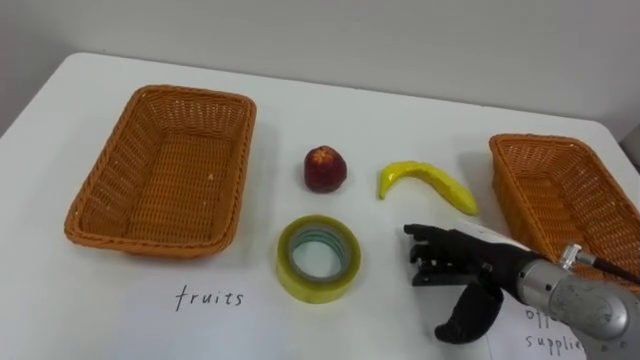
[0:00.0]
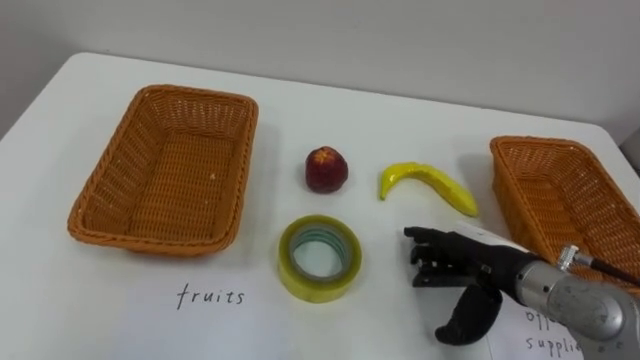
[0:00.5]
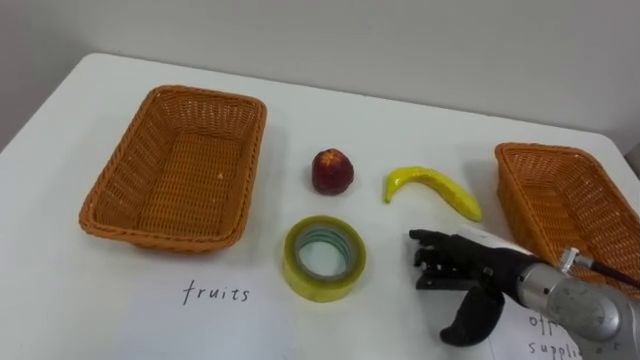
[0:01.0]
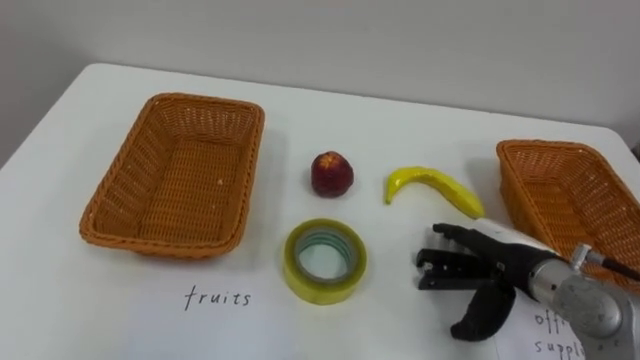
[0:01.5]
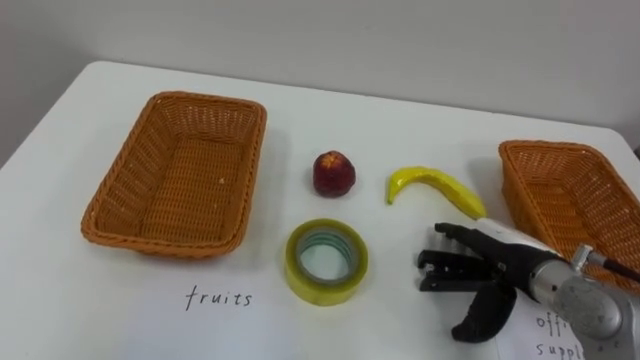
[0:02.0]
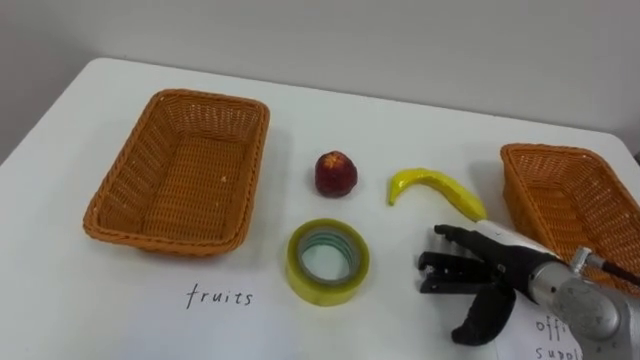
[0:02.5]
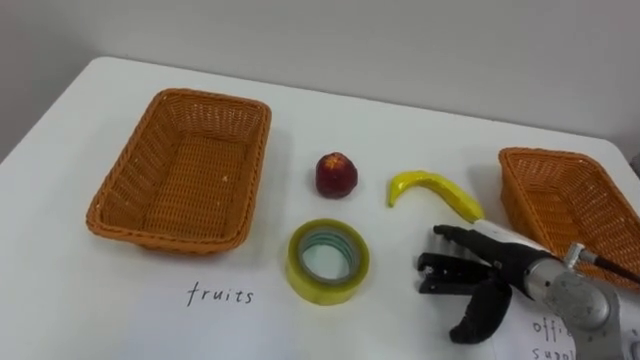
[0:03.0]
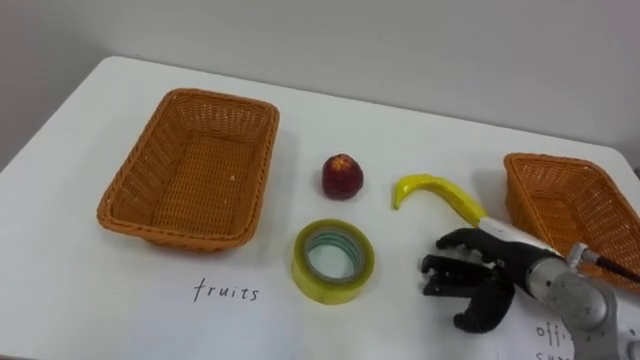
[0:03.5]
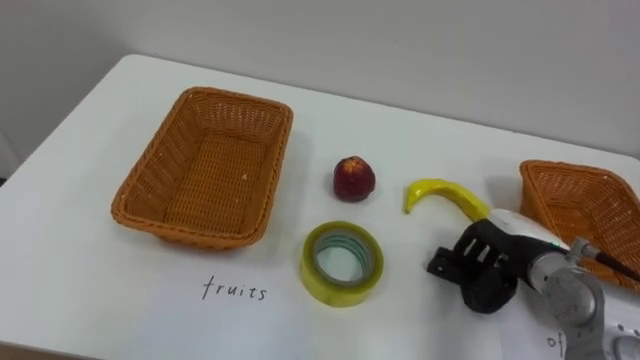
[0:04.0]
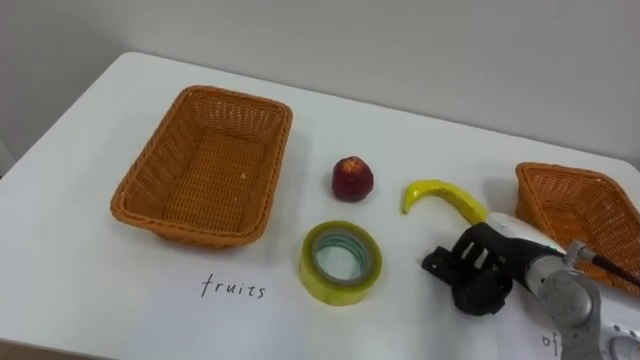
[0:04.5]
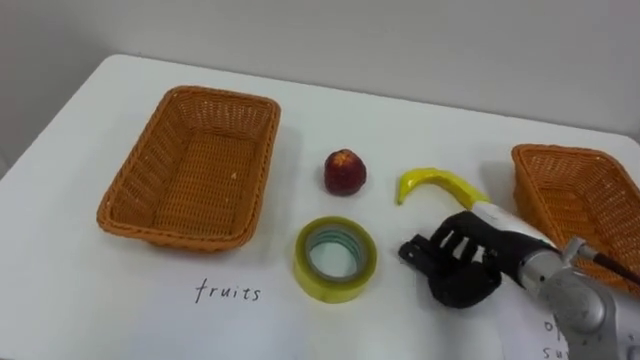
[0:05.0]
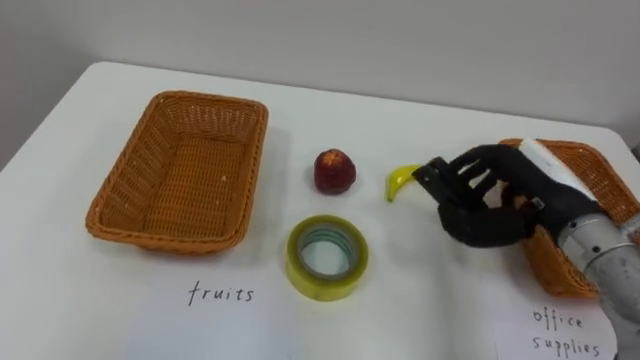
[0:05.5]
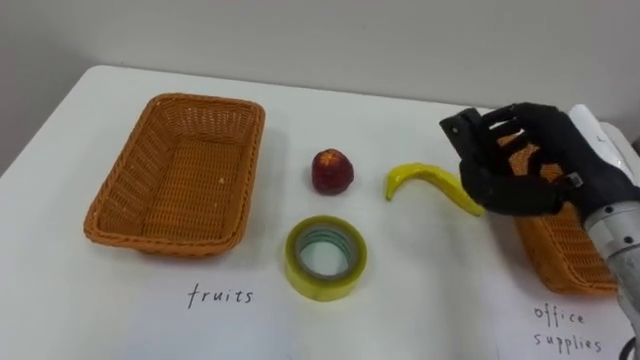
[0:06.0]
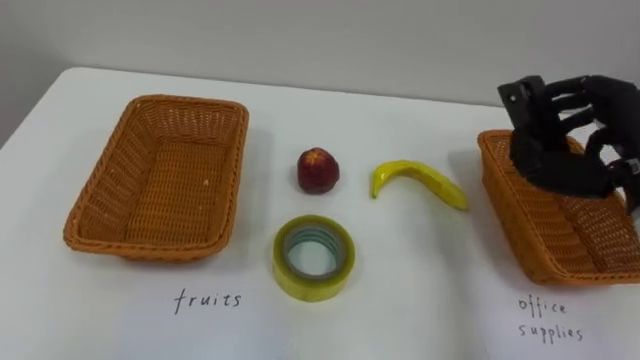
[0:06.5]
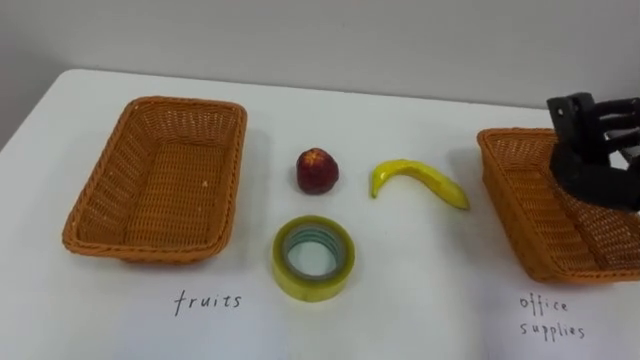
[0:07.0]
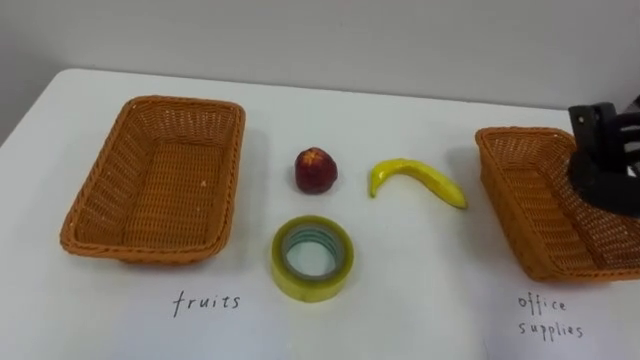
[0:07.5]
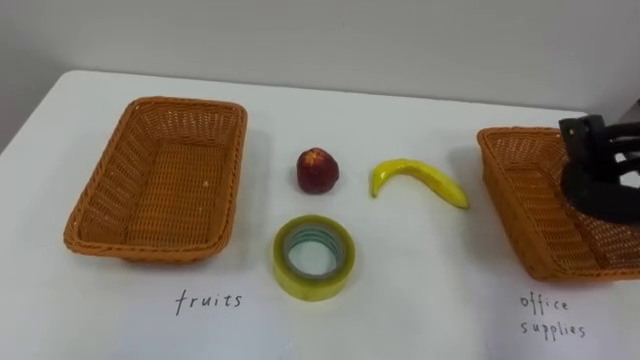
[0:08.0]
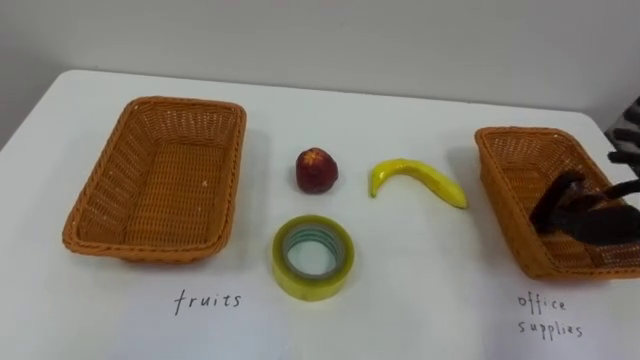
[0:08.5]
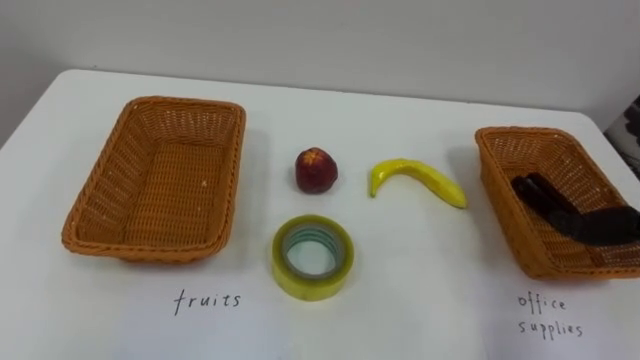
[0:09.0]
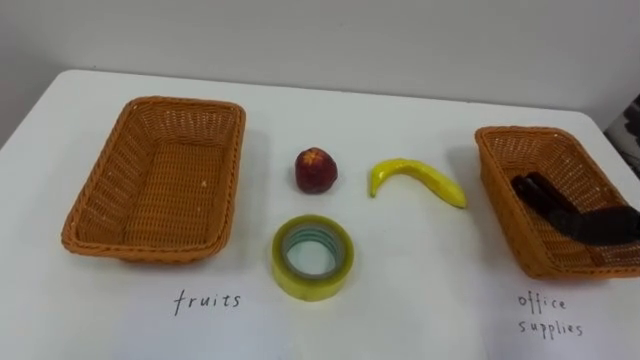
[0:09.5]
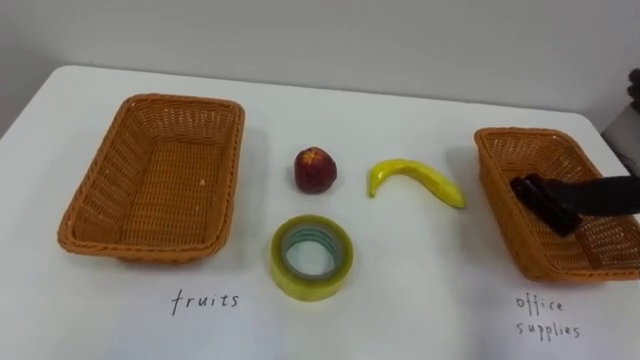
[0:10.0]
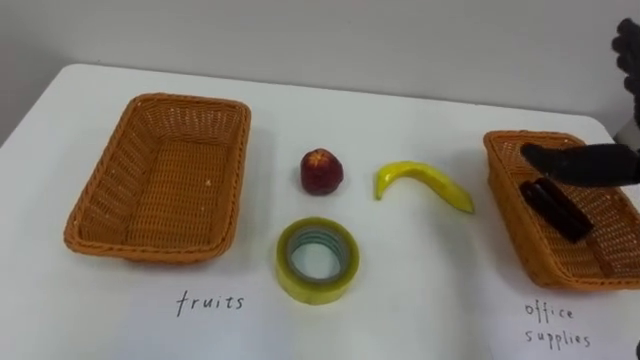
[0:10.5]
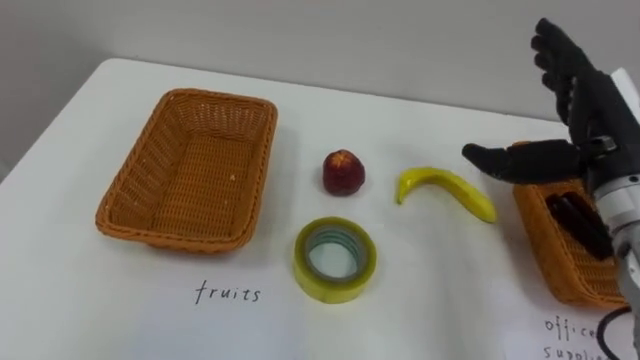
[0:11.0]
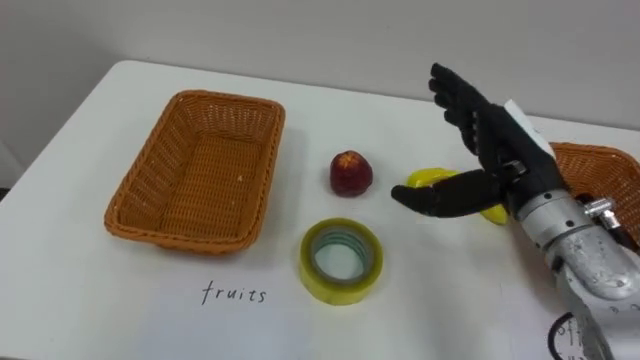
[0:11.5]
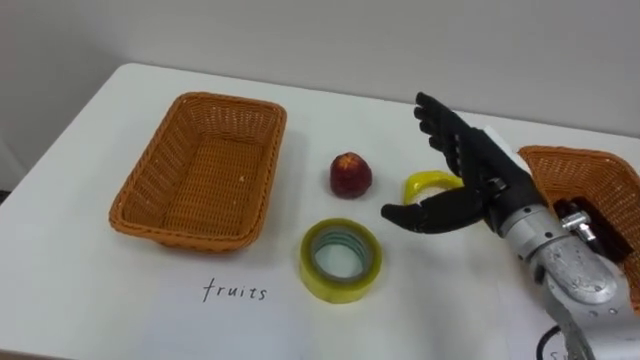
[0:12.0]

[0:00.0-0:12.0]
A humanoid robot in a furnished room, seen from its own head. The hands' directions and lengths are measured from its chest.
Task of the whole recording: Separate the items on the table and place them into the two baskets.
0:02.0 to 0:04.0: The right hand closes up.
0:04.0 to 0:06.0: The right hand goes about 15 cm upward.

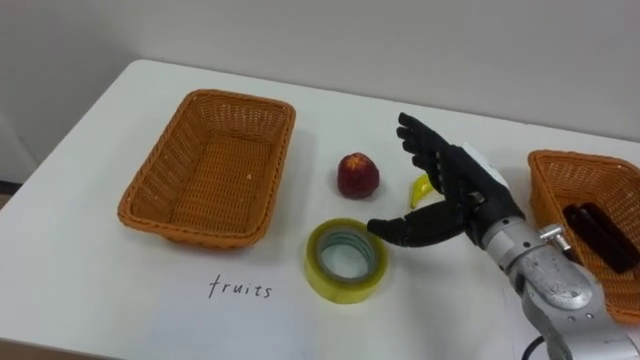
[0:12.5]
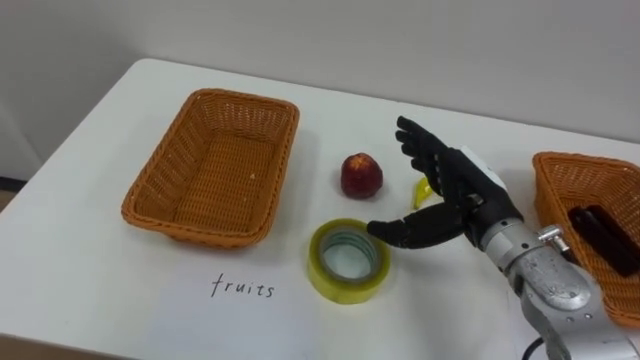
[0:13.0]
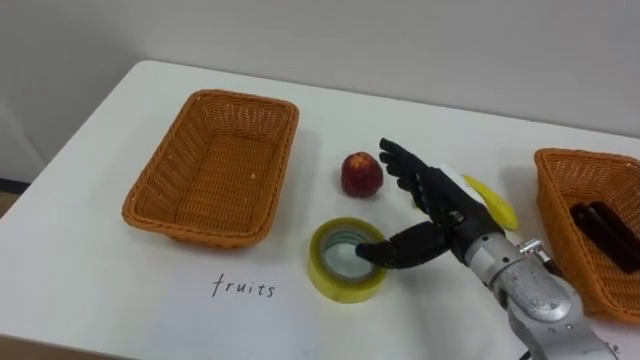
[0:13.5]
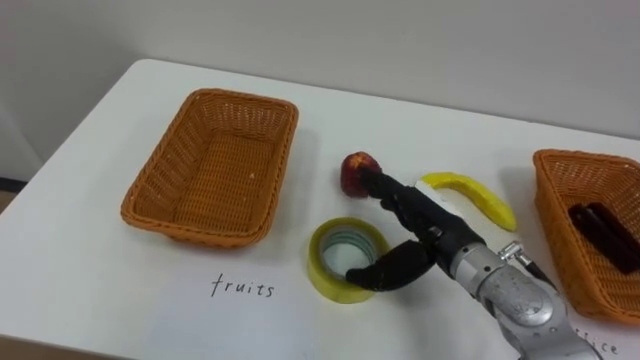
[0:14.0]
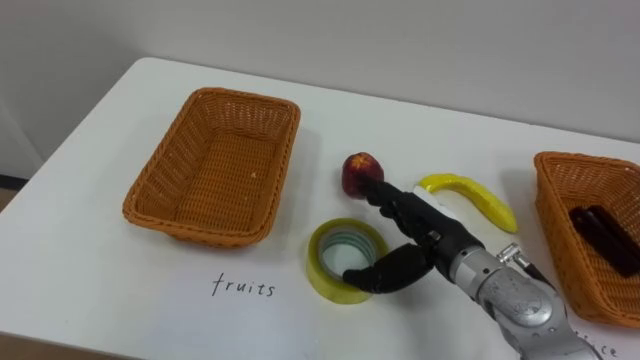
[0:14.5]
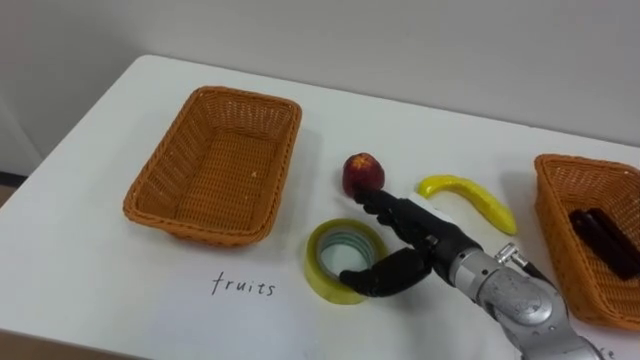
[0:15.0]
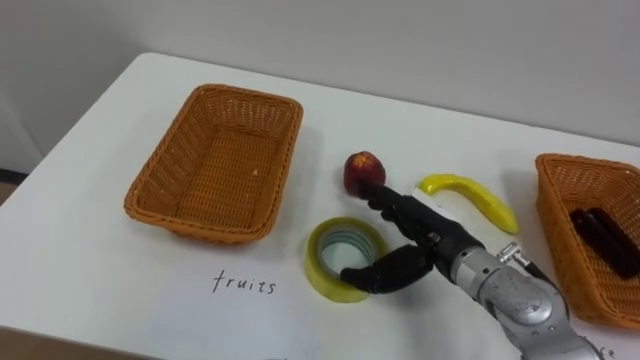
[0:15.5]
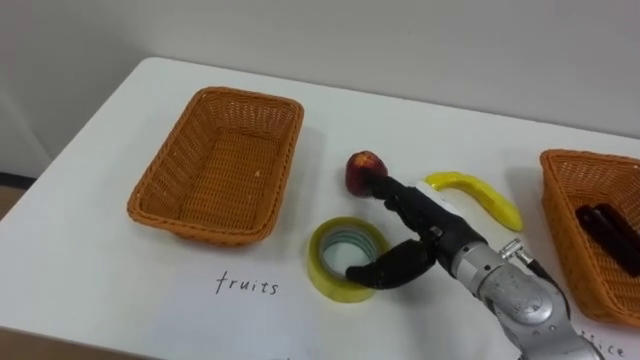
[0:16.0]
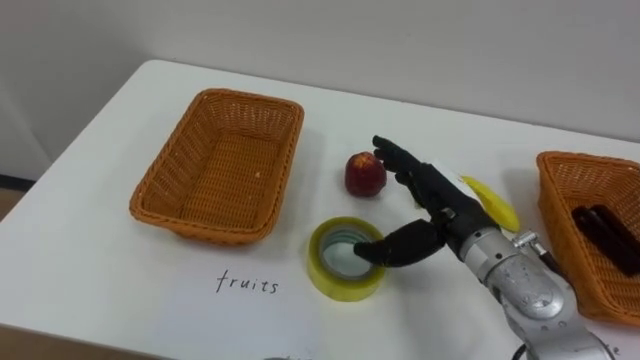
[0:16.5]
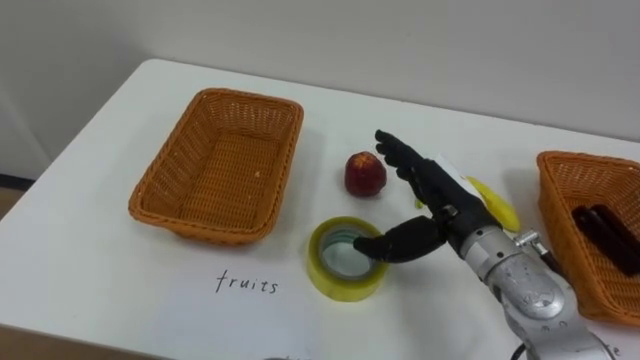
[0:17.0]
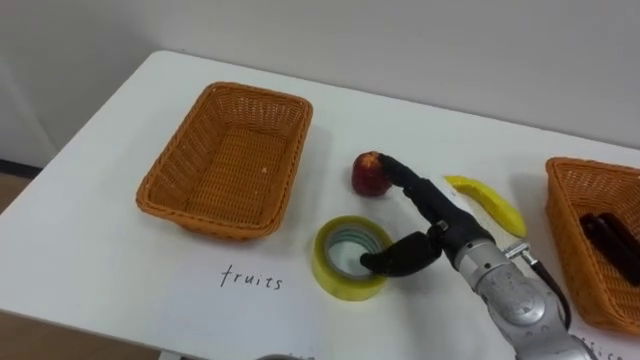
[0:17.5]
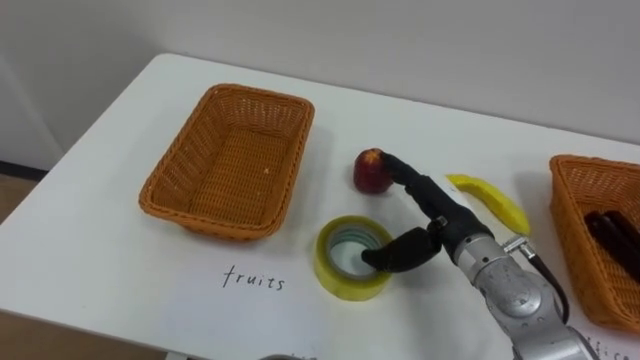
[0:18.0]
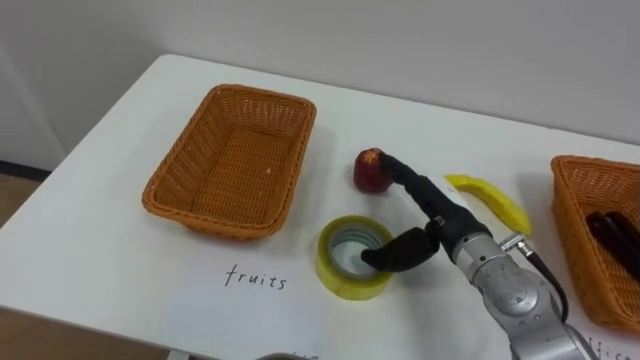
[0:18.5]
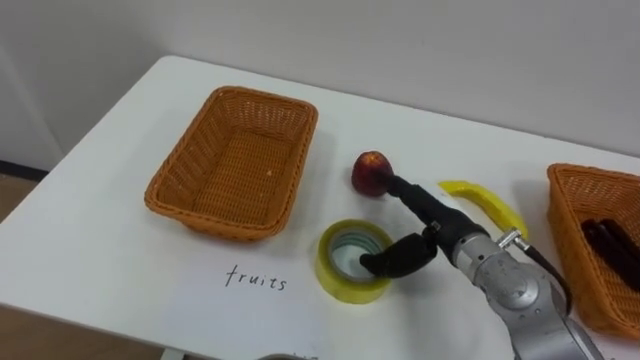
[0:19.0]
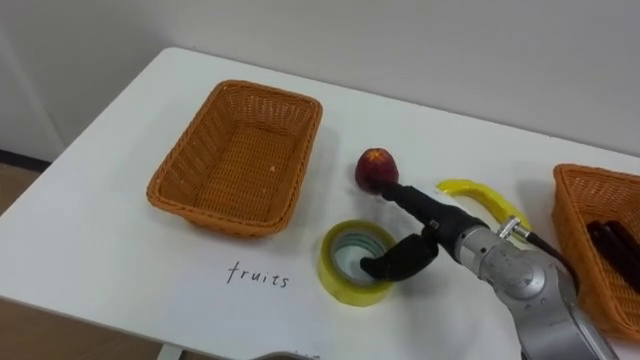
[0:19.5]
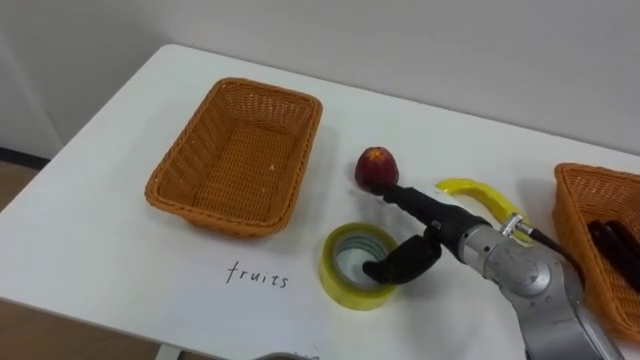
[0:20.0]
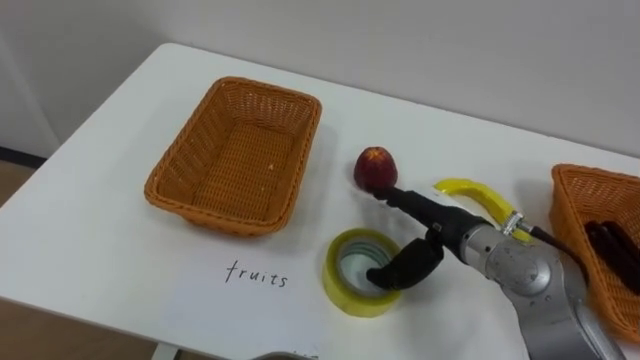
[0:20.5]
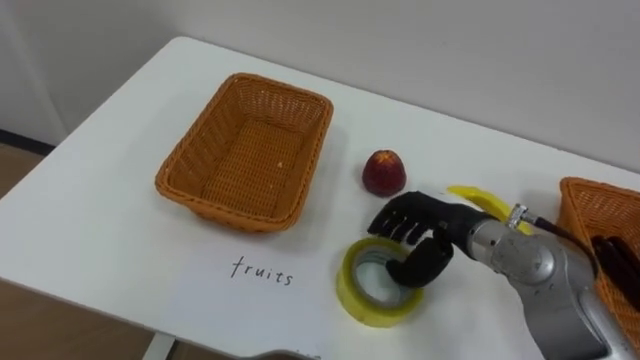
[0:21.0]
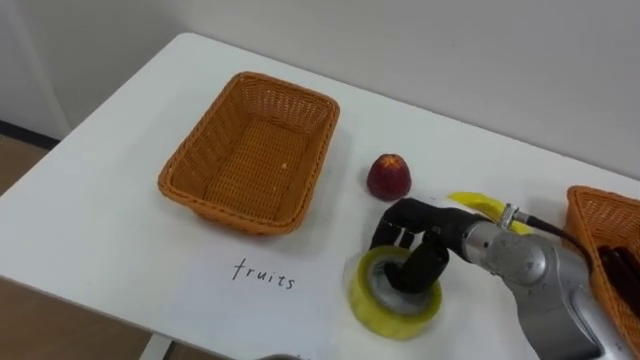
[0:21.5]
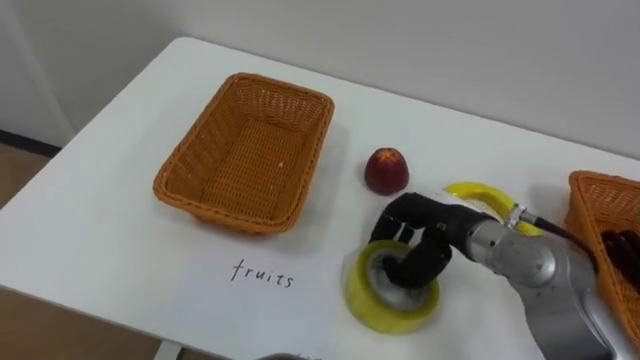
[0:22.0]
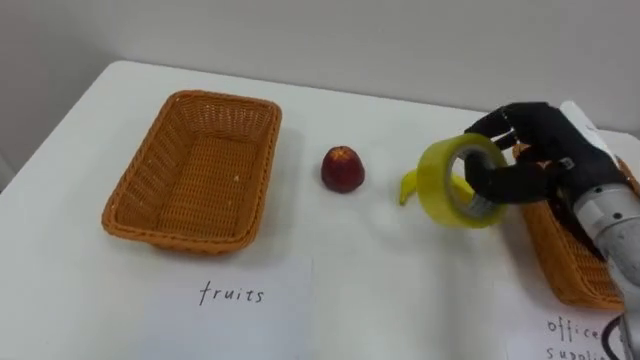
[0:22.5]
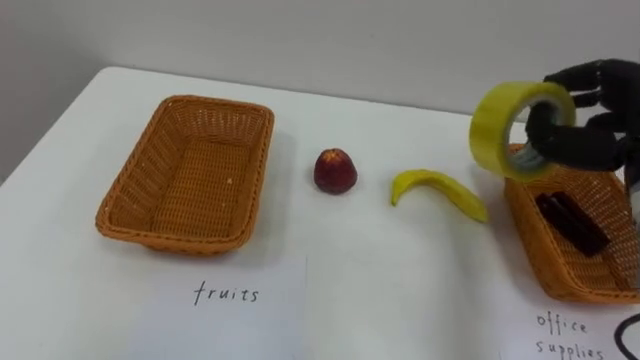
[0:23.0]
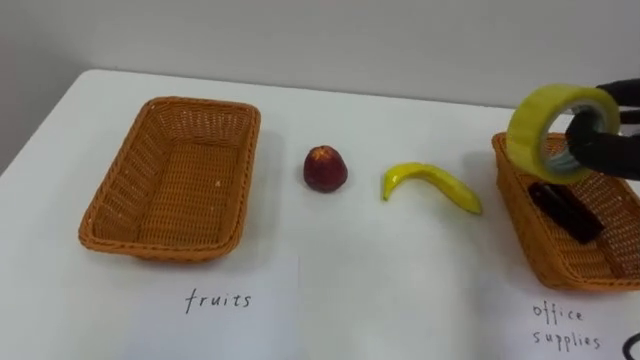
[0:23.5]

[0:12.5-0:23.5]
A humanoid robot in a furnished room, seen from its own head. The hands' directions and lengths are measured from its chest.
Task of the whole recording: Separate the items on the table and place them into the two baskets.
0:12.5 to 0:14.5: The right hand shifts by roughly 5 cm.
0:20.0 to 0:21.5: The right hand closes its fingers.
